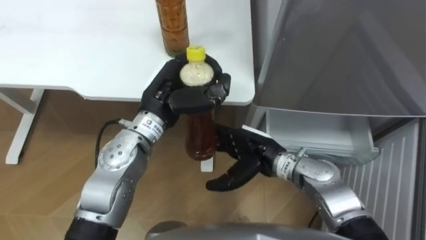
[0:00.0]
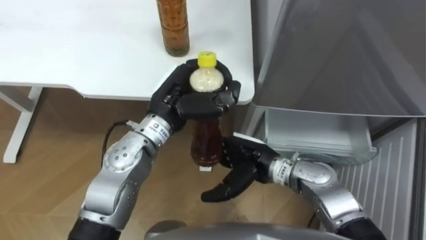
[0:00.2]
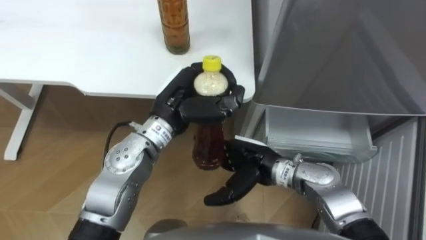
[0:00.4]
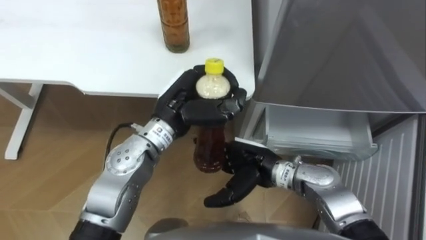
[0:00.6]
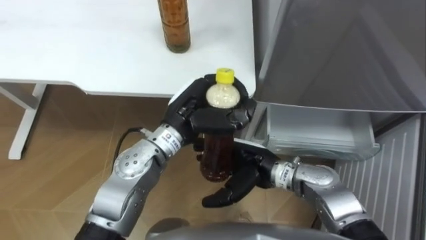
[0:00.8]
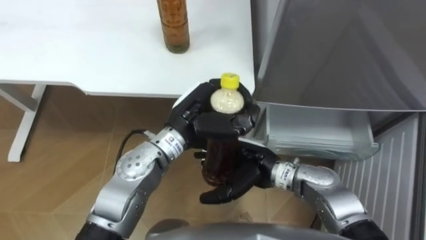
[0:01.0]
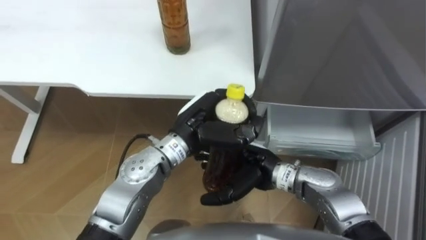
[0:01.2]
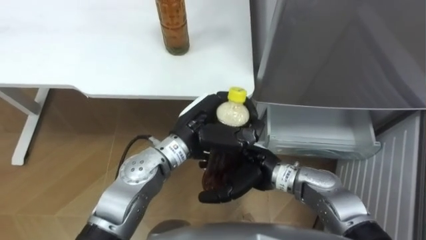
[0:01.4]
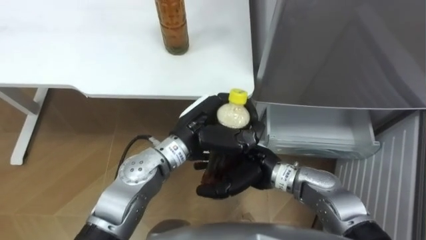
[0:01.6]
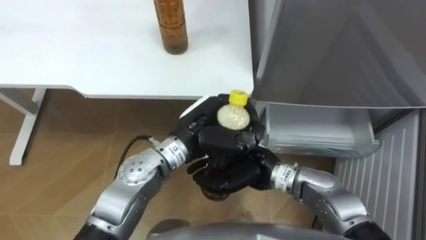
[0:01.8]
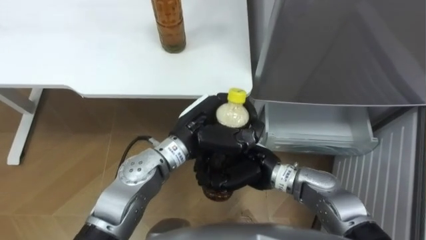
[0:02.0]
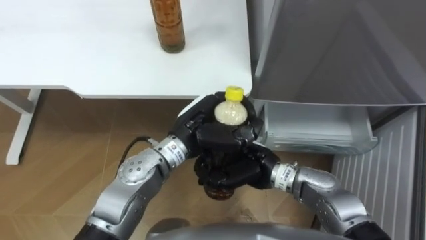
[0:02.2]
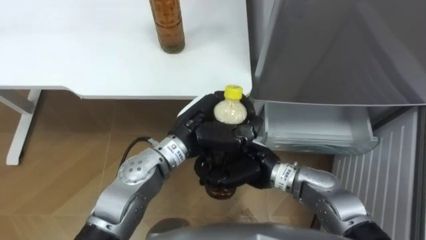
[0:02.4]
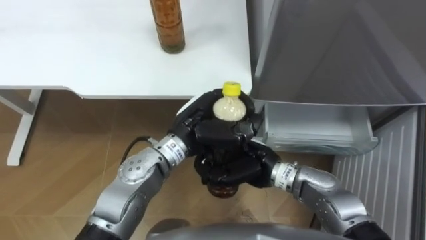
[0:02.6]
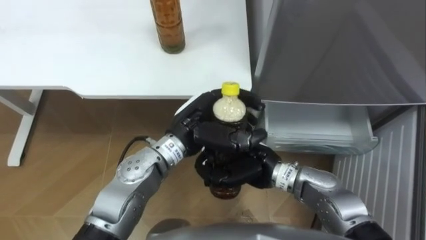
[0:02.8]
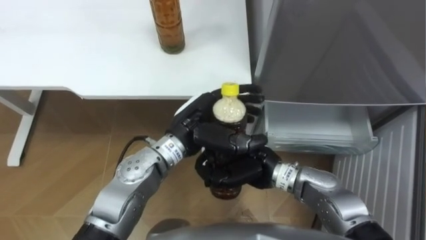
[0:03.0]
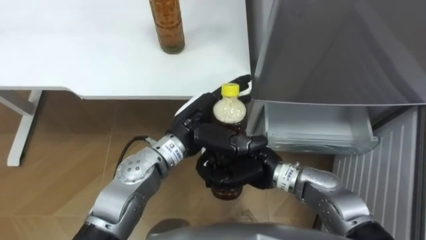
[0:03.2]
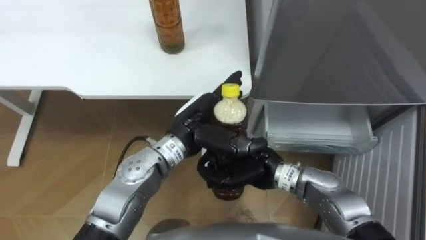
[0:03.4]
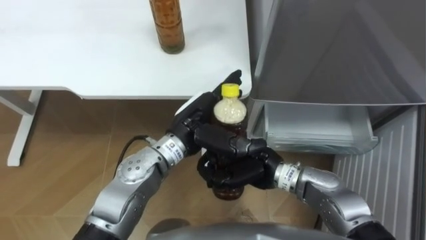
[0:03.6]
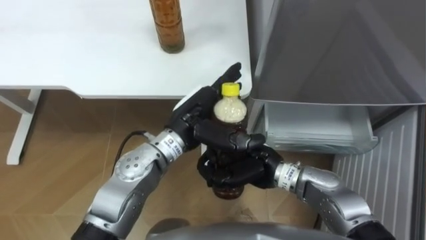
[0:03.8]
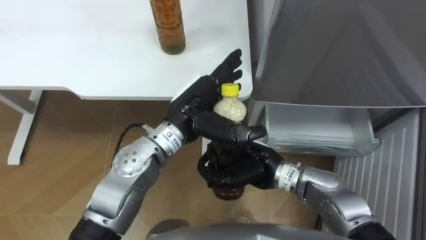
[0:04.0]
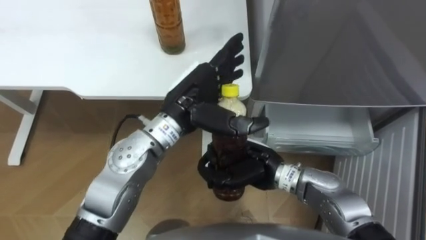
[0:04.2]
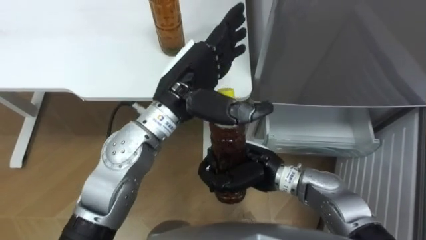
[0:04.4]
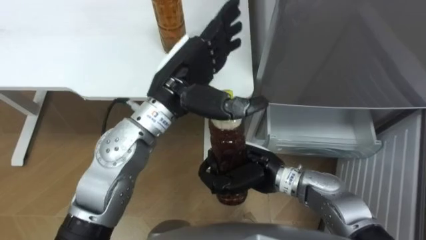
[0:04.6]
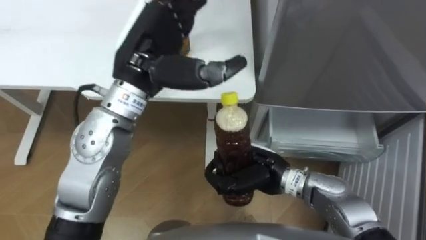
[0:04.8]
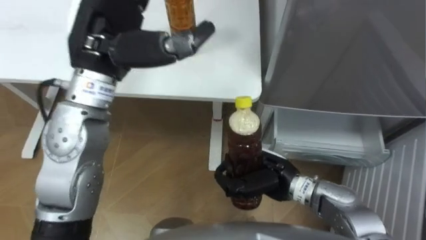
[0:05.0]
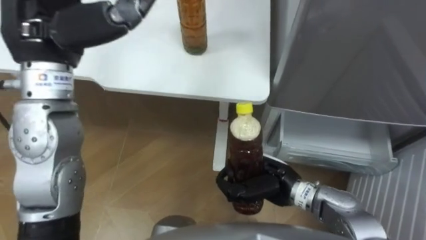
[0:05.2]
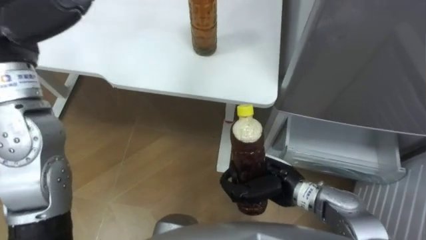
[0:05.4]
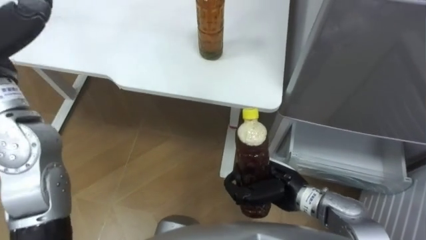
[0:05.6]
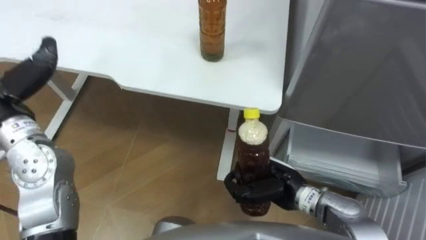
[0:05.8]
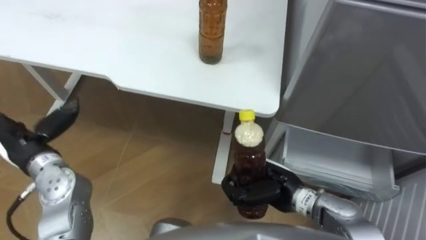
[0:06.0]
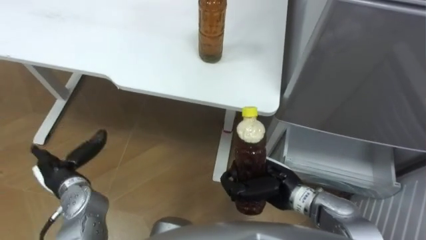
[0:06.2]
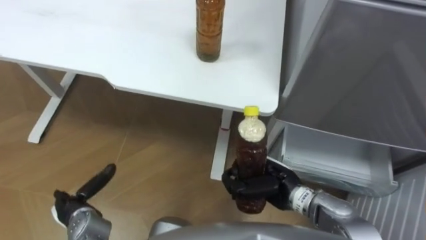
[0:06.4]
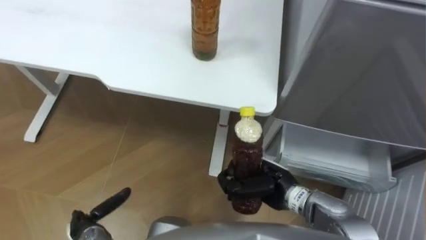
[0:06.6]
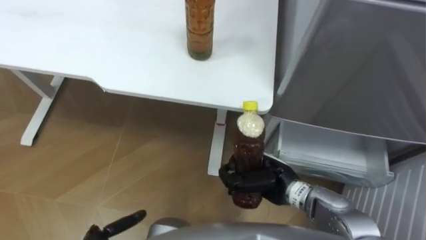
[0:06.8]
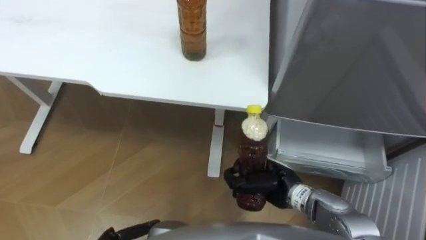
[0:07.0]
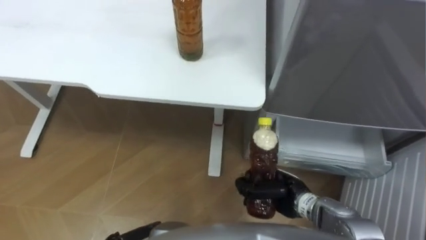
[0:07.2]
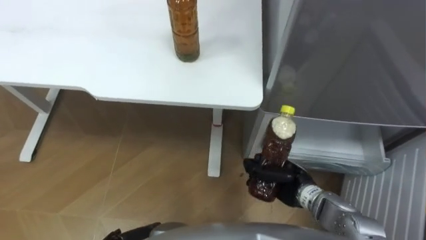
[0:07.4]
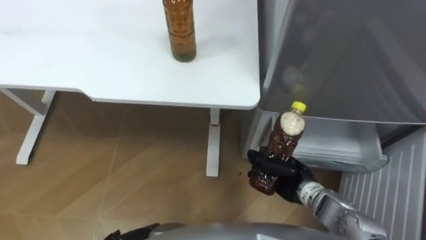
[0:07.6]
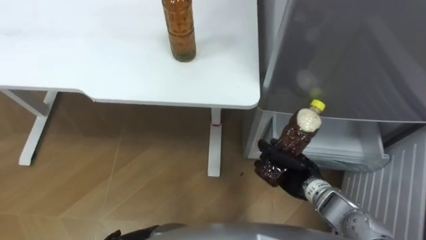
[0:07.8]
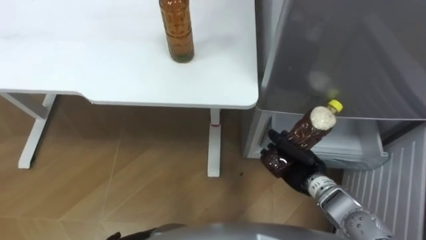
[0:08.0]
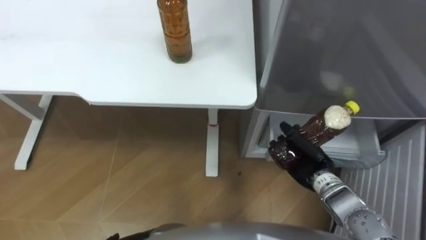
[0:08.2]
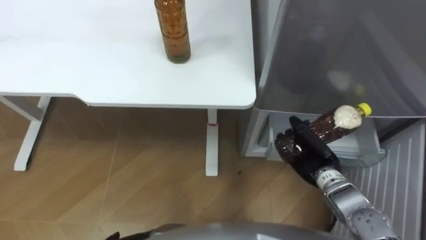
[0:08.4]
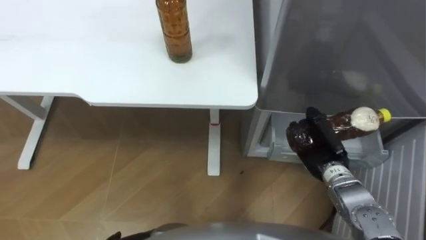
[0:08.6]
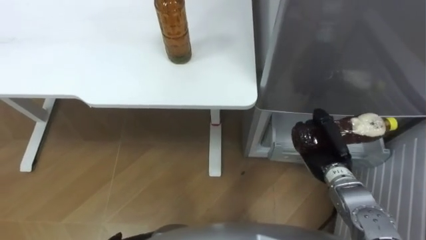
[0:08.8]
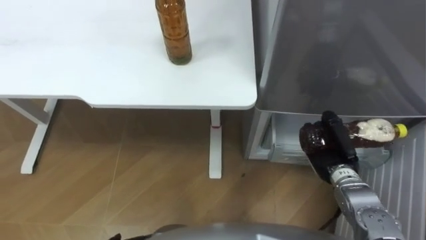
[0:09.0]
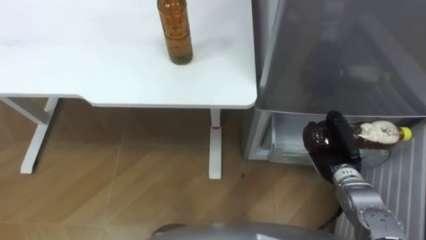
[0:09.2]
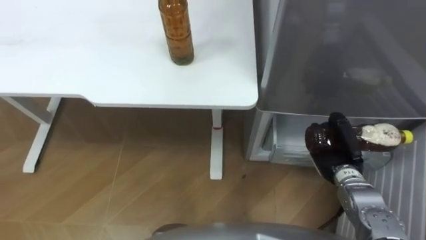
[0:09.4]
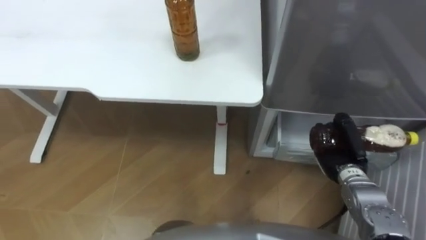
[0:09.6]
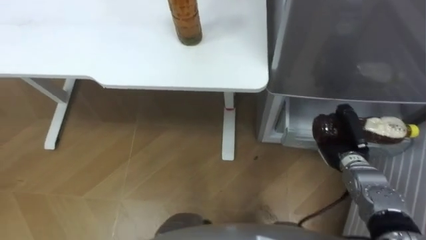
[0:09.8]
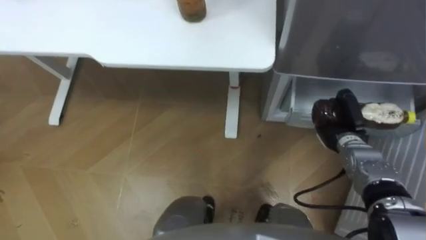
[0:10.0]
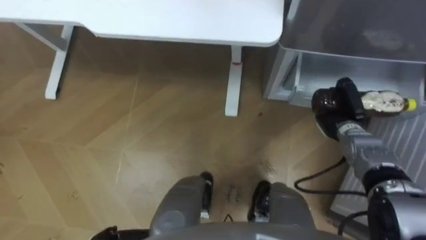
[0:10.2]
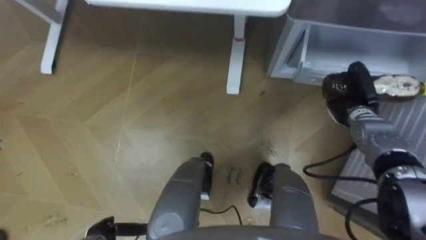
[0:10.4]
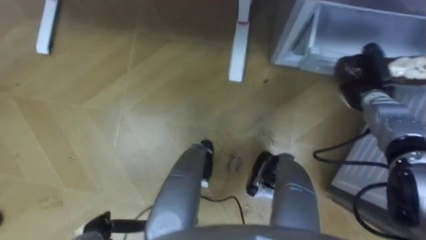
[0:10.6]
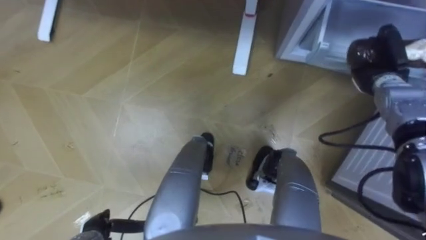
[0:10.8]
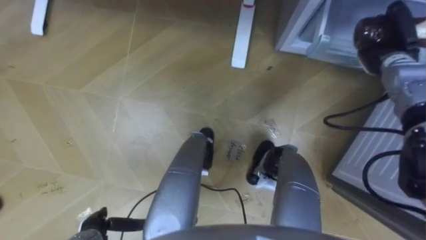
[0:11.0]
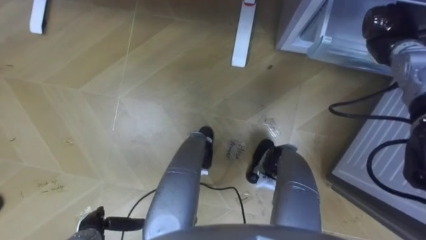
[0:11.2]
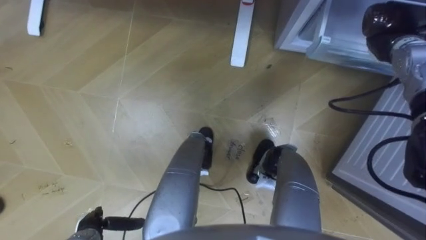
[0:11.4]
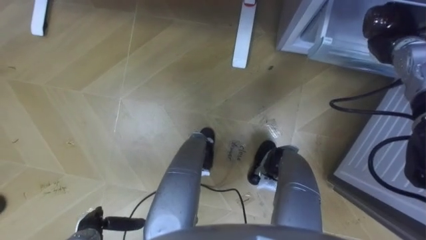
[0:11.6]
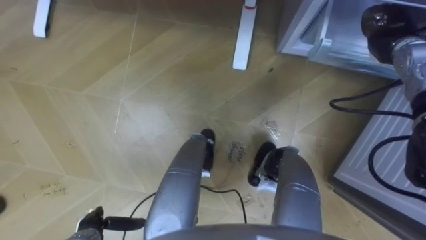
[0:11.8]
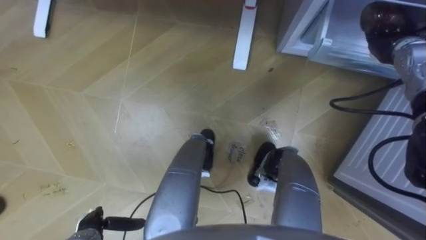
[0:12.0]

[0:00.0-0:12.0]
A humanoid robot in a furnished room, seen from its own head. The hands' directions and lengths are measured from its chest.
Task of the whole recording: Place the drink on the table on the bottom shelf of the refrigerator, then close the drawer and the refrigerator door.
0:00.0 to 0:01.6: The left hand goes about 5 cm to the right.
0:01.6 to 0:03.0: The left hand opens its fingers. Meanwhile the right hand closes its fingers.
0:03.0 to 0:04.4: The left hand shifts roughly 10 cm upward.
0:04.4 to 0:06.0: The right hand heads to the right, covering roughly 5 cm.
0:06.0 to 0:07.6: The right hand moves approximately 5 cm.
0:07.6 to 0:09.0: The right hand travels to the right by about 10 cm.
0:09.0 to 0:10.4: The right hand travels forward by approximately 10 cm.
0:10.4 to 0:12.0: The right hand goes about 15 cm upward and forward, and opens.

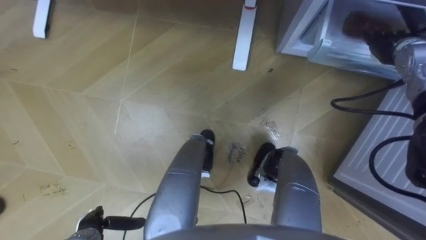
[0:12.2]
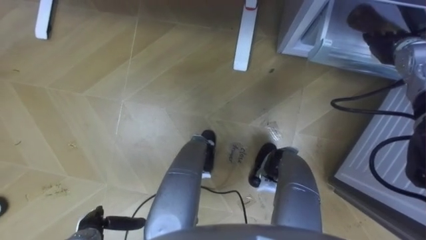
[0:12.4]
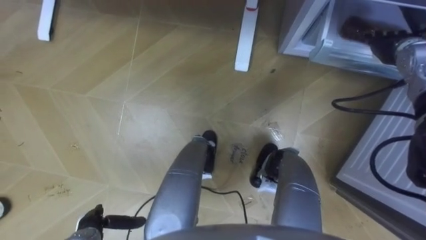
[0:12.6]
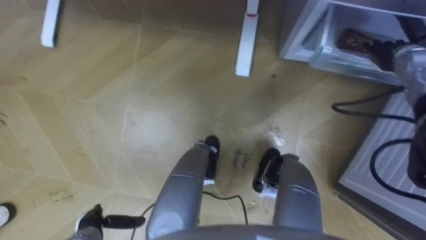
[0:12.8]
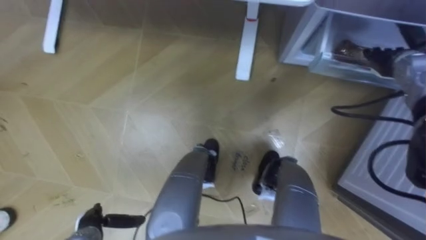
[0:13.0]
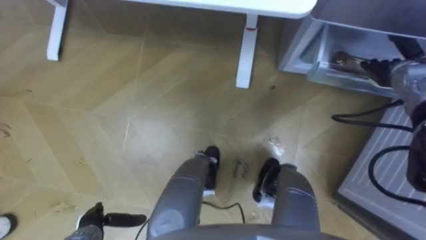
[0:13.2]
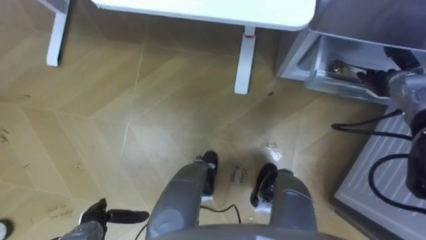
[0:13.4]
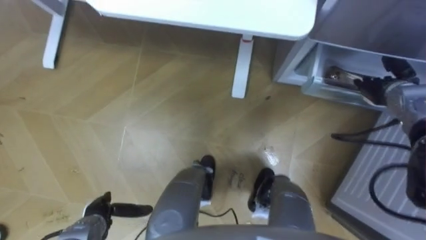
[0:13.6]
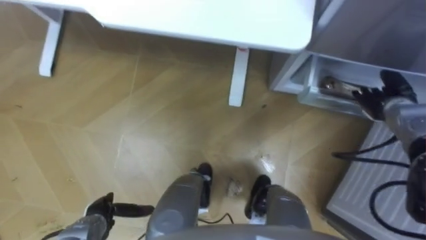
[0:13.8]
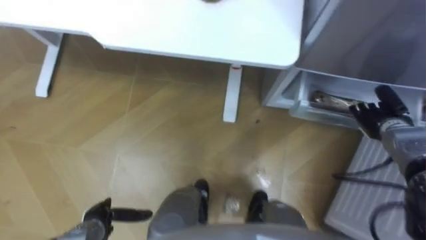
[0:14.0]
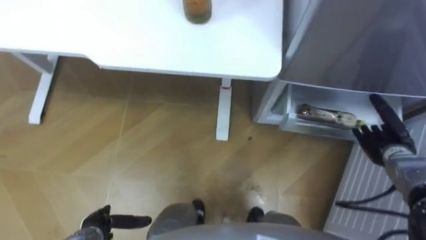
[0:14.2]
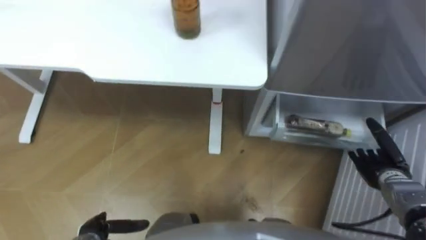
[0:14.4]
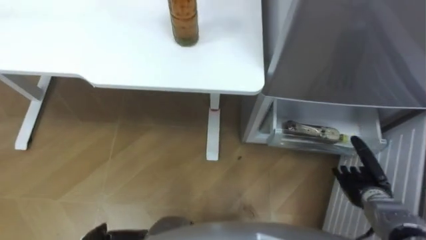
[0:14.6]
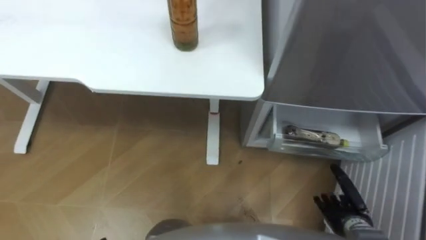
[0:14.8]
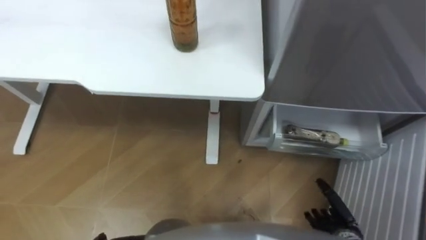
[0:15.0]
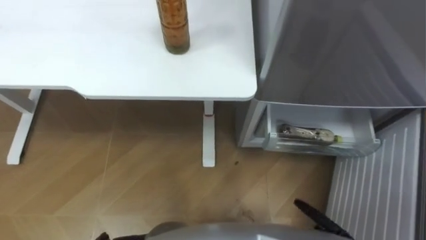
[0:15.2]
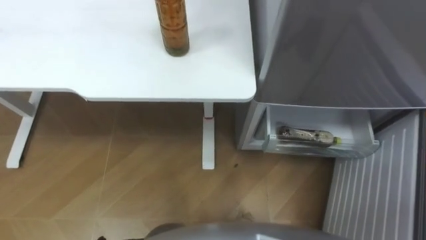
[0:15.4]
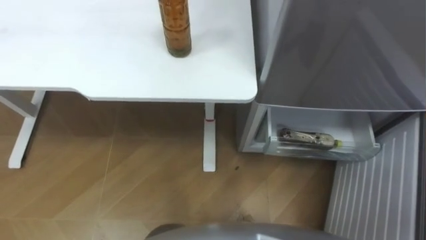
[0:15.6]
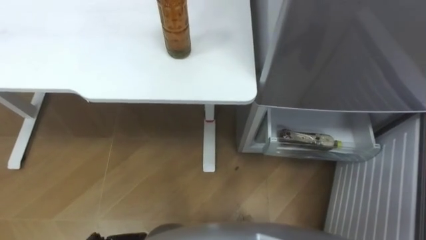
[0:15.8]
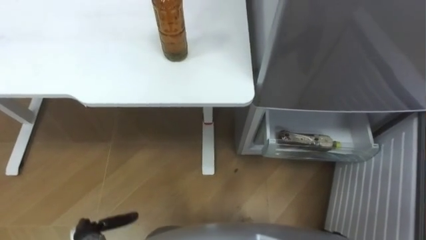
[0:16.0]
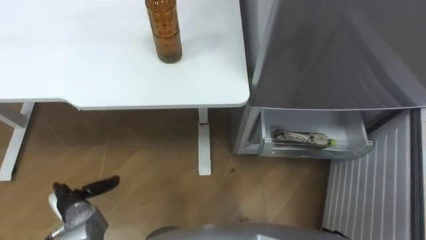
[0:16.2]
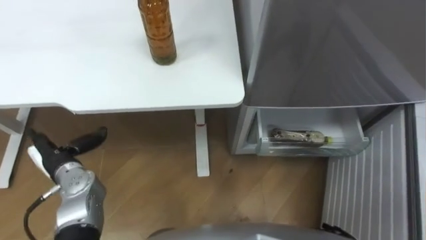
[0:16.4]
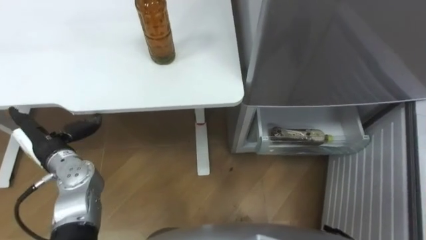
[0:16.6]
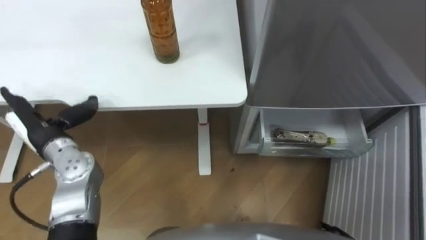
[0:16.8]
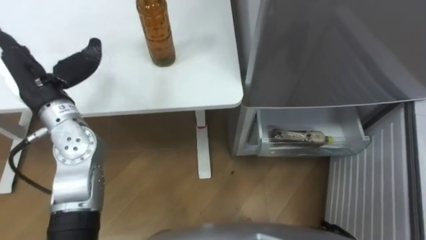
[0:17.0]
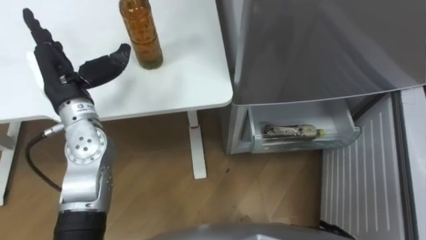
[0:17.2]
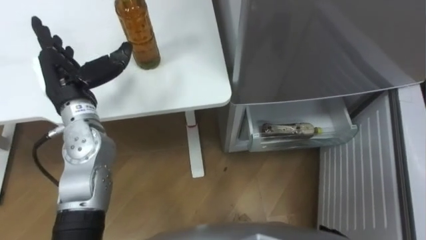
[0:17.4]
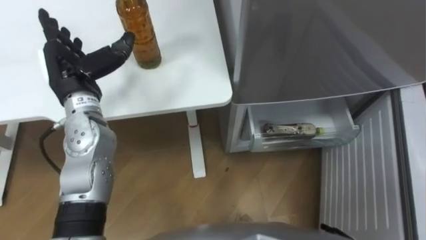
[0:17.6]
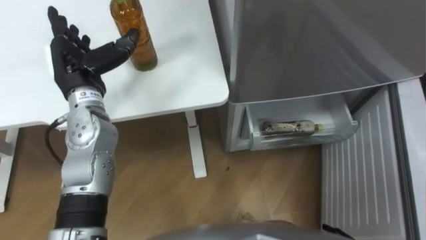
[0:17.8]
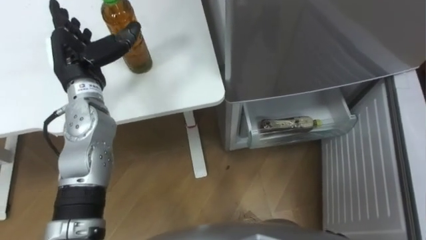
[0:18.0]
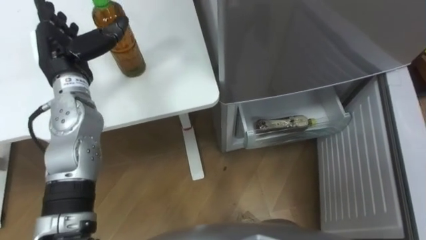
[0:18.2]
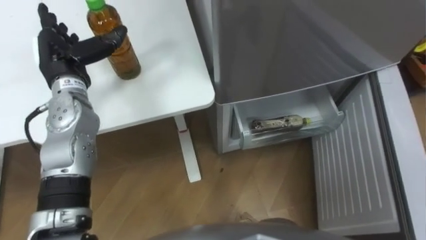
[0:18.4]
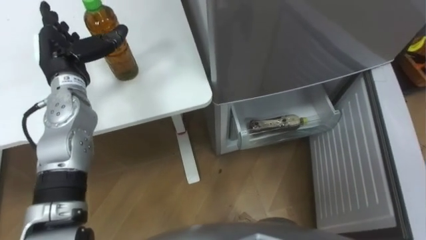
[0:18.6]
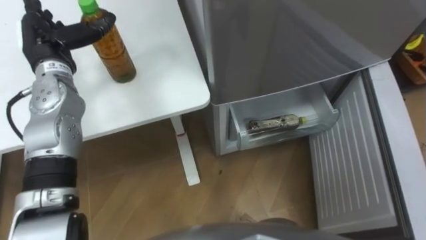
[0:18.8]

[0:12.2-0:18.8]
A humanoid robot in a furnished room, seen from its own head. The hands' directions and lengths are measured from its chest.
Task of the whole recording: Place the drink on the table on the bottom shelf of the refrigerator, then close the drawer and the refrigerator door.
0:12.2 to 0:13.8: The right hand is displaced downward and backward by approximately 10 cm.
0:17.2 to 0:18.8: The left hand goes approximately 5 cm forward.
